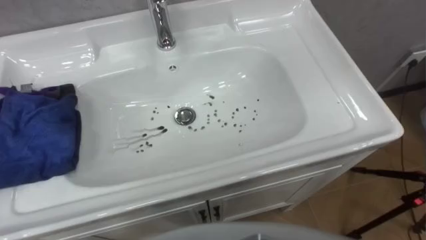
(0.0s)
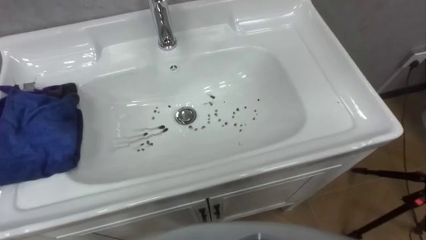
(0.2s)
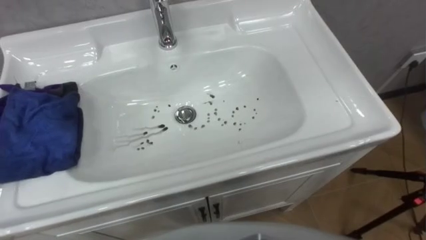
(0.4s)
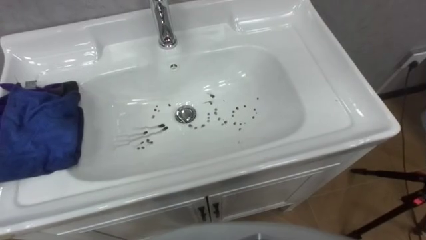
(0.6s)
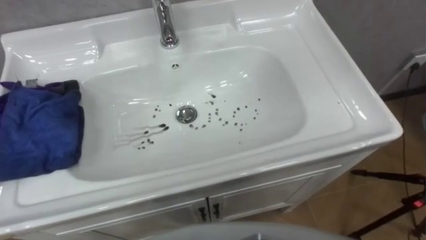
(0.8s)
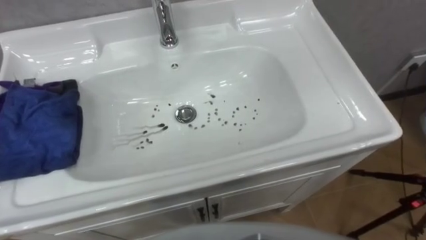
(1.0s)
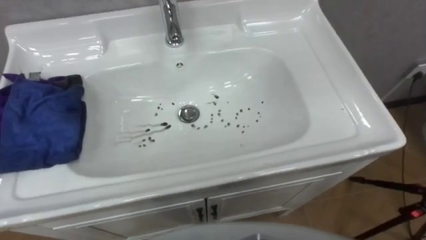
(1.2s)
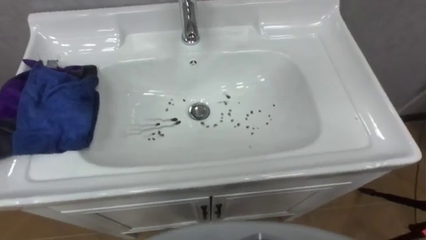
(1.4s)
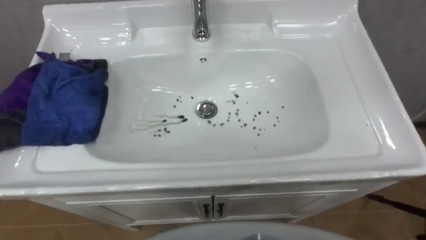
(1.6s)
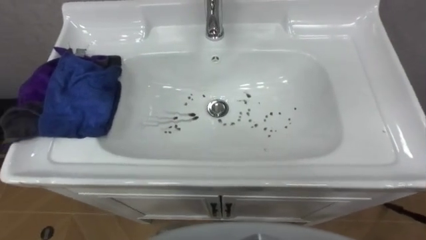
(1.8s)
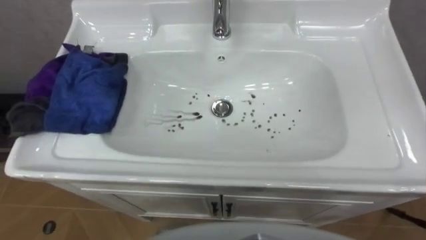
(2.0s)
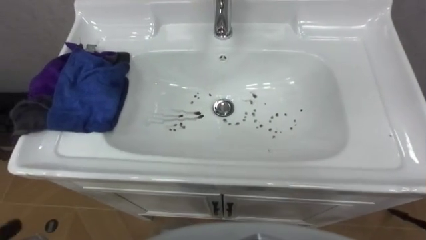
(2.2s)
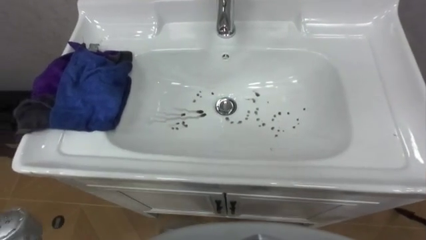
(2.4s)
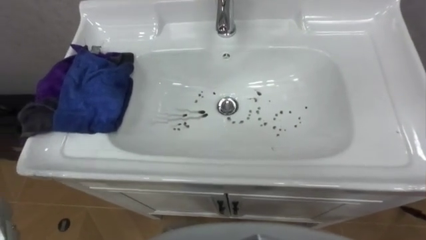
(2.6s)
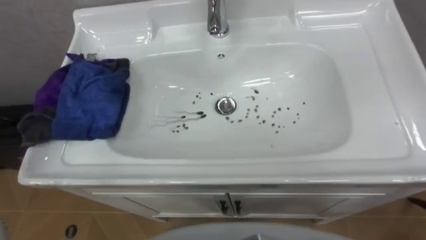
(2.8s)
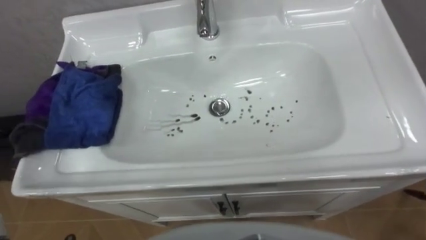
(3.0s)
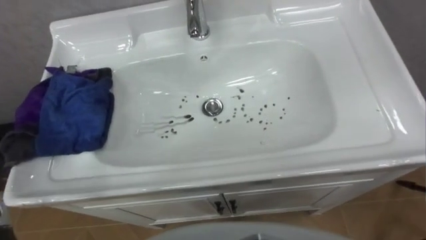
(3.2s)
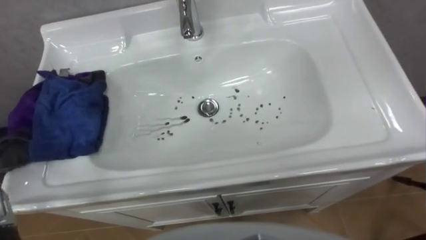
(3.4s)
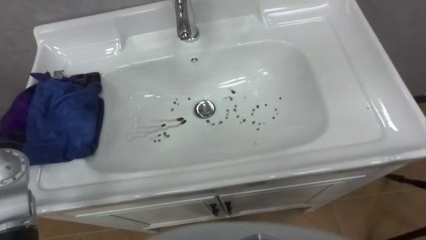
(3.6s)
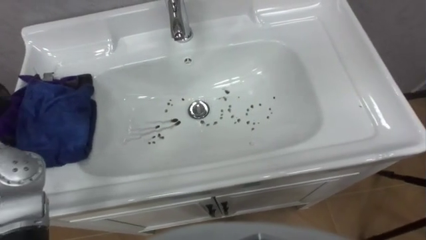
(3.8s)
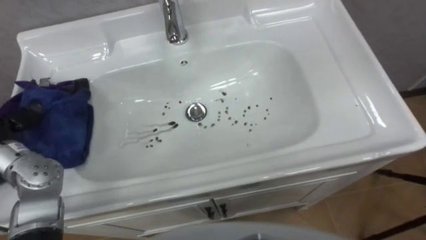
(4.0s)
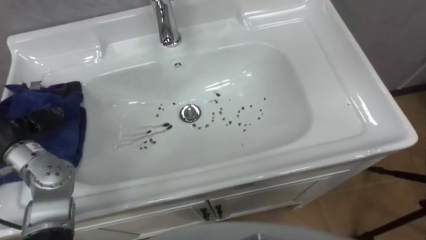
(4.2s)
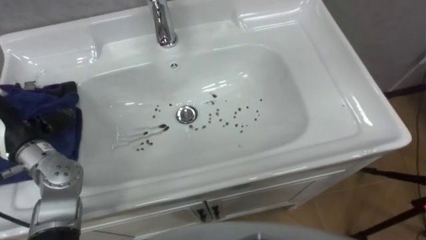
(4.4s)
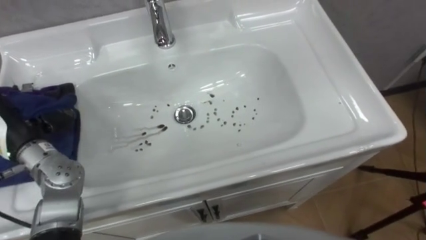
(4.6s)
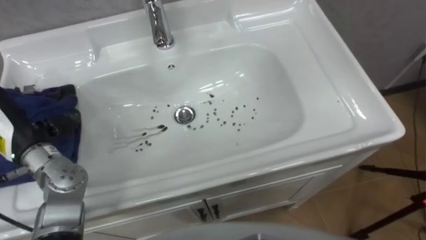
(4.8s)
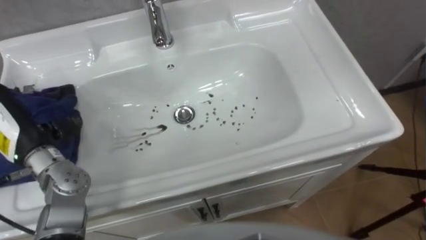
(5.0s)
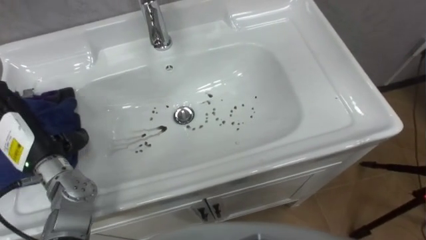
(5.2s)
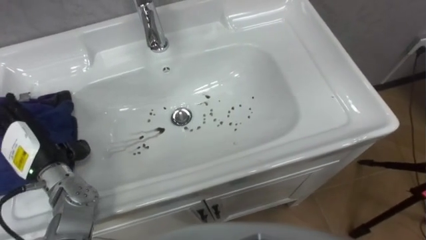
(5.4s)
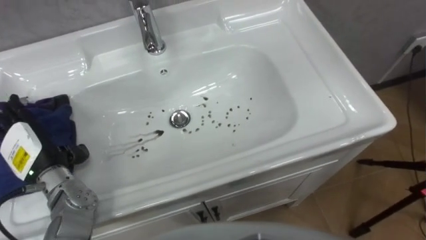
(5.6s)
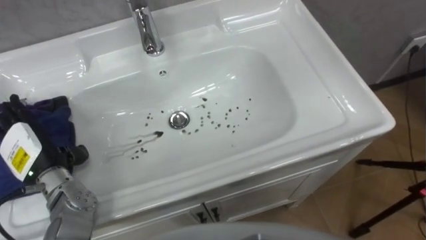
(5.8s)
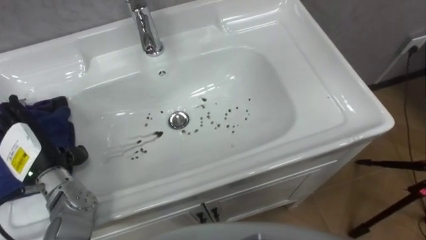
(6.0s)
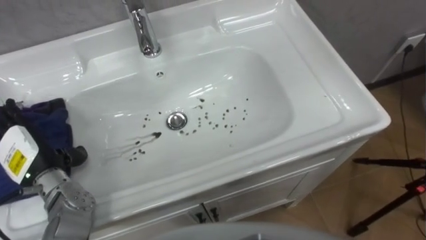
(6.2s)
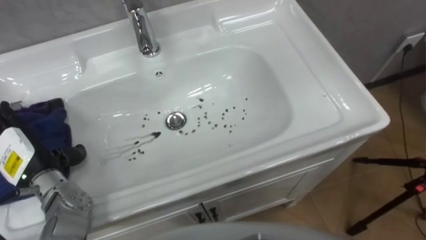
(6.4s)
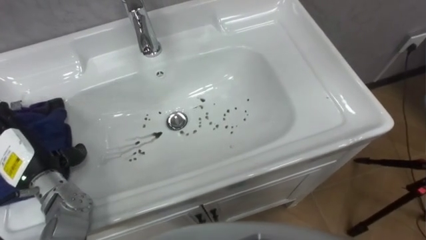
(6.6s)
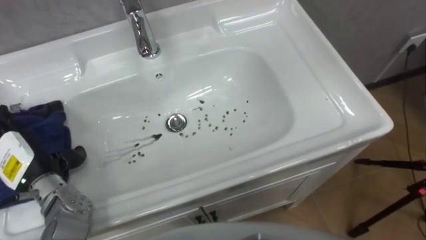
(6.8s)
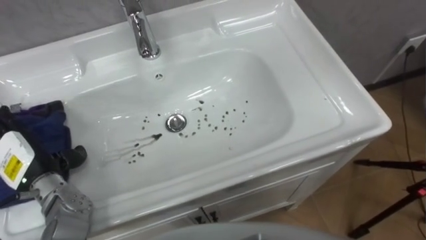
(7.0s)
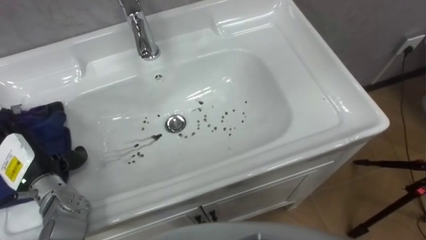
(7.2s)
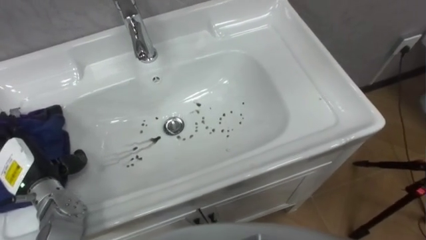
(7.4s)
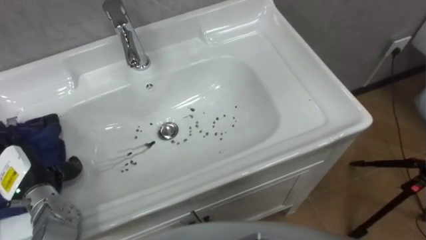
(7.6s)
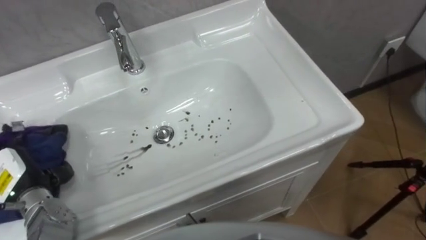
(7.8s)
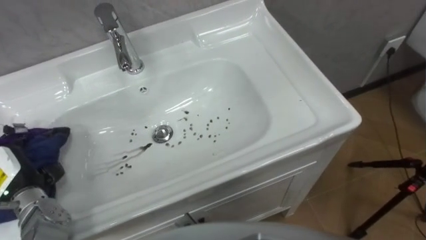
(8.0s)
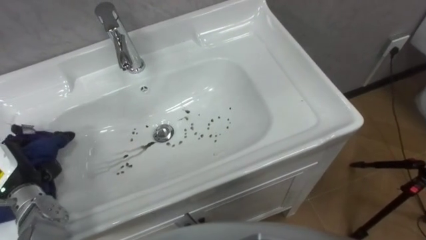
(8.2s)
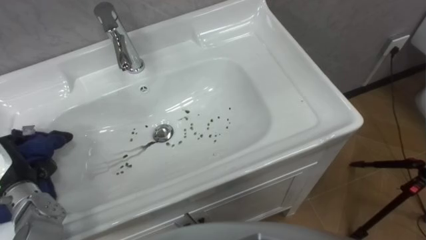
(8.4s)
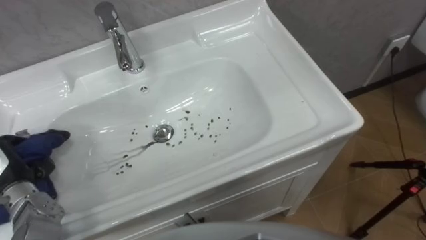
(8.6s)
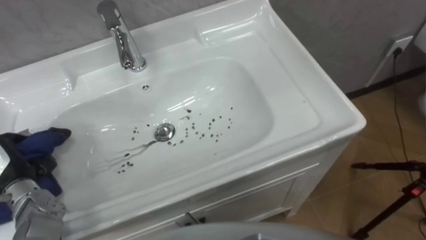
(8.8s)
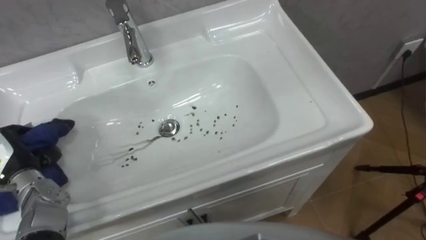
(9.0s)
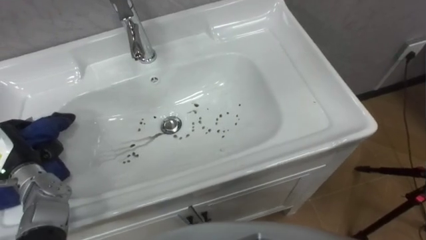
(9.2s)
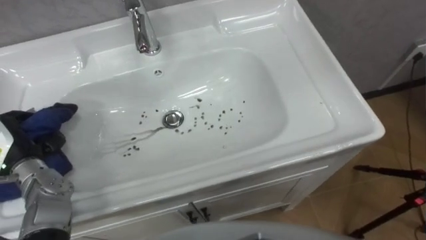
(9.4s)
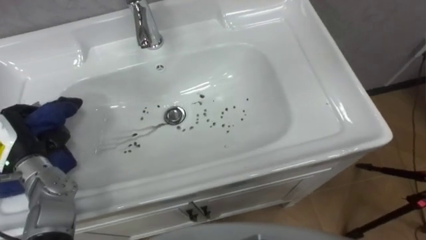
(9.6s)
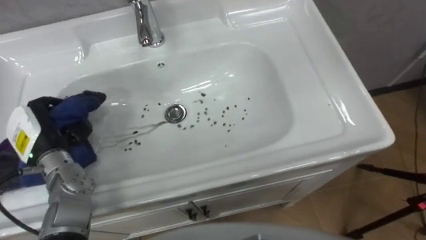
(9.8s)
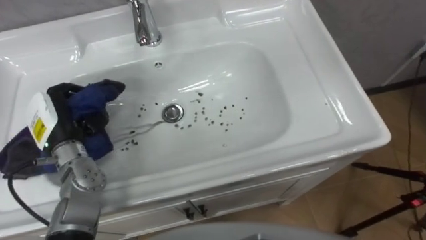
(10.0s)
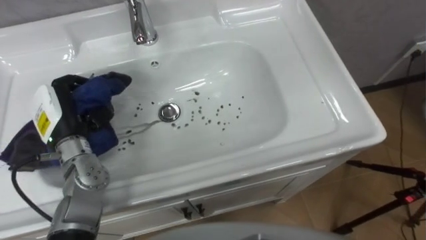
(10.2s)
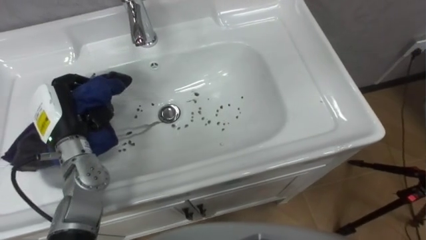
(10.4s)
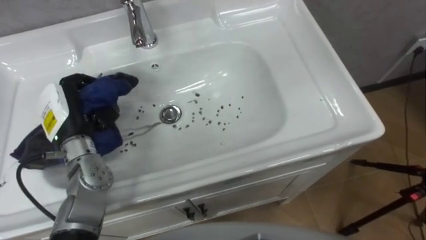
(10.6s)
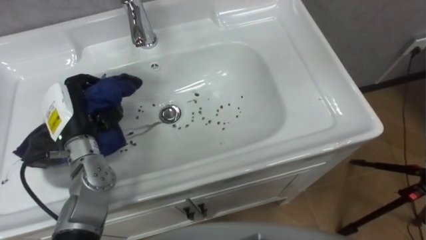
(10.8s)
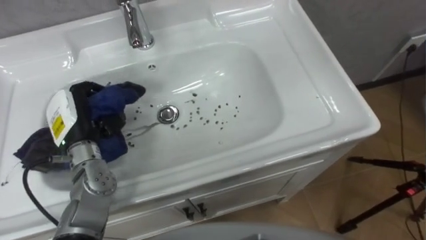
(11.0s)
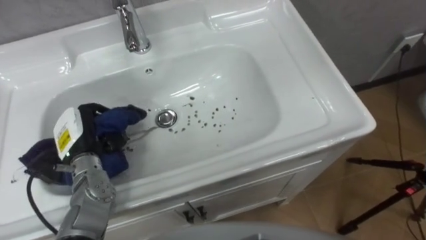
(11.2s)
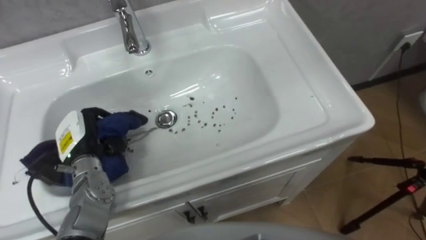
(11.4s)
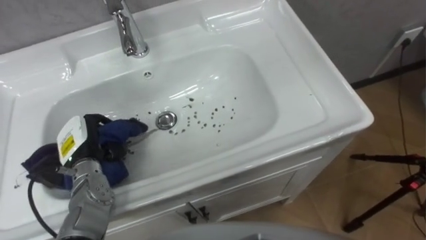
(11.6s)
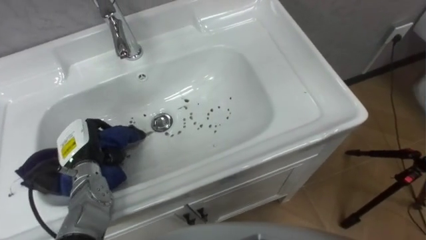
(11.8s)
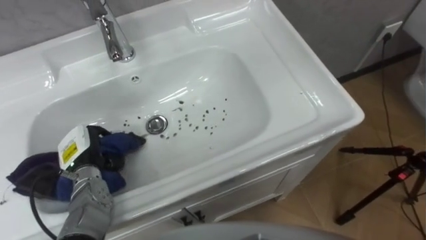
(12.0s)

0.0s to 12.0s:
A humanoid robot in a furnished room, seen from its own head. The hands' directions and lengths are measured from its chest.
Task of the whole recording: Use the cloth on the right to wipe away the black stain in the sink.
4.4s to 6.0s: The left hand shifts some 5 cm downward.
6.0s to 7.6s: The left hand moves approximately 5 cm.
7.6s to 9.0s: The left hand closes its fingers.
9.0s to 10.4s: The left hand shifts some 15 cm to the right, forward and upward.
10.4s to 12.0s: The left hand goes about 10 cm downward.

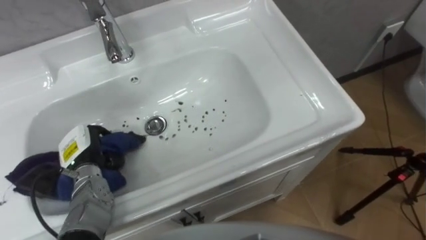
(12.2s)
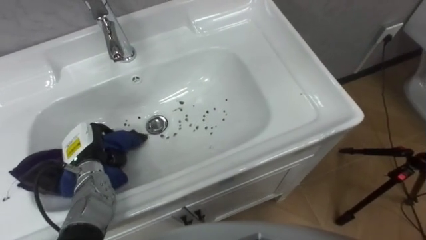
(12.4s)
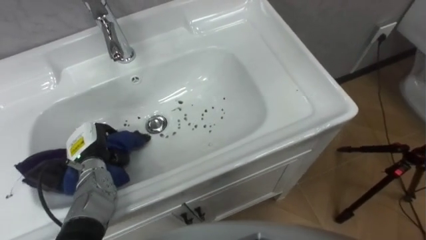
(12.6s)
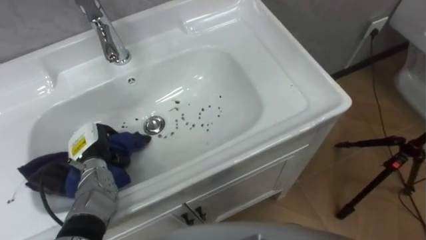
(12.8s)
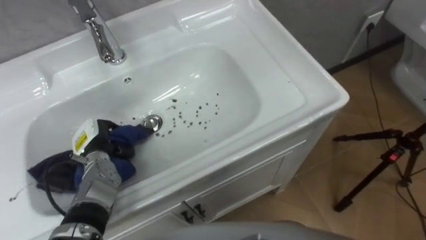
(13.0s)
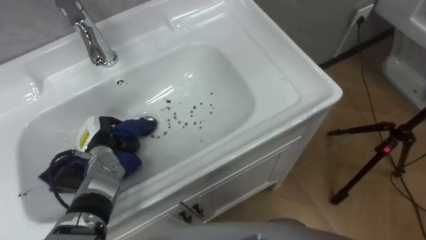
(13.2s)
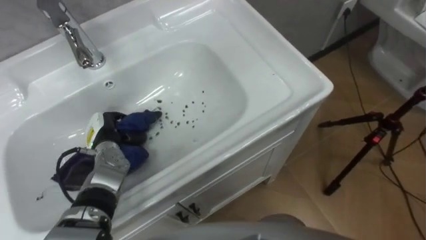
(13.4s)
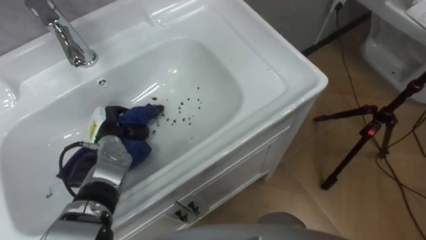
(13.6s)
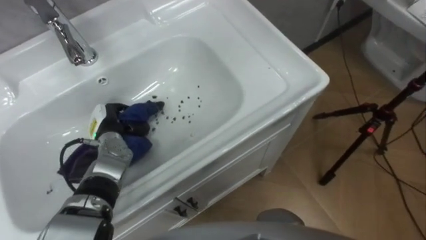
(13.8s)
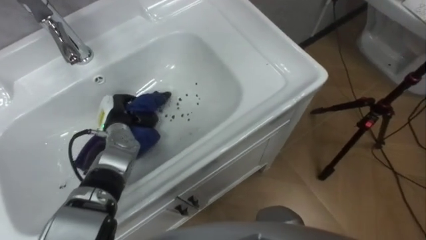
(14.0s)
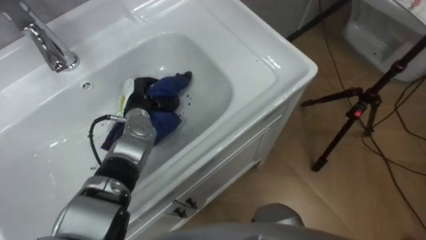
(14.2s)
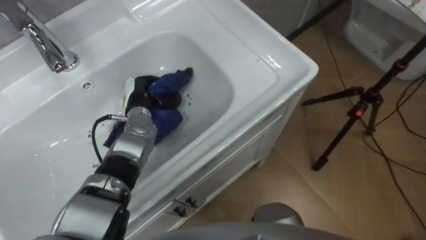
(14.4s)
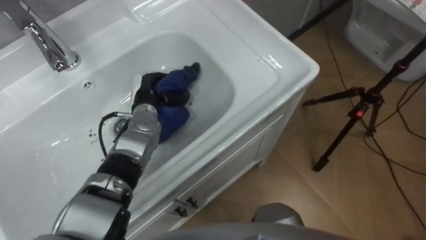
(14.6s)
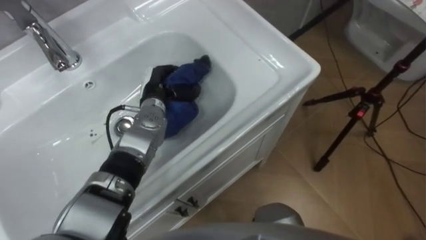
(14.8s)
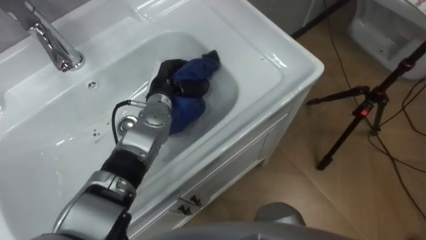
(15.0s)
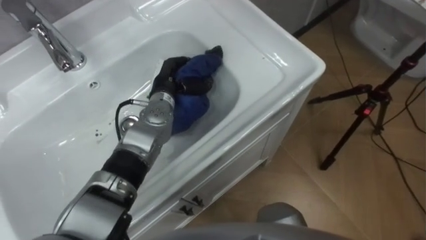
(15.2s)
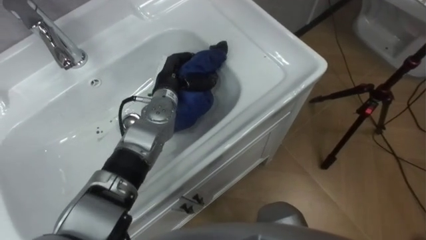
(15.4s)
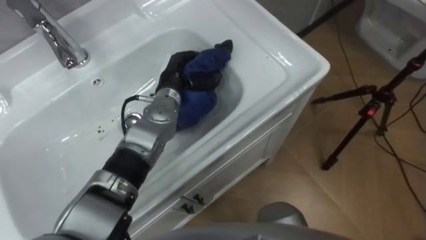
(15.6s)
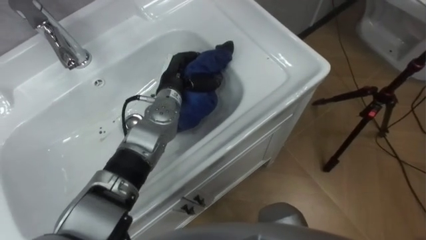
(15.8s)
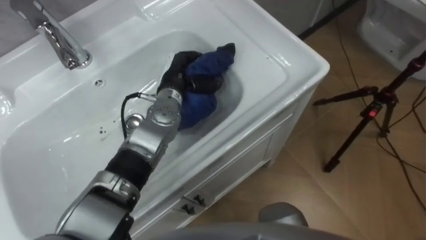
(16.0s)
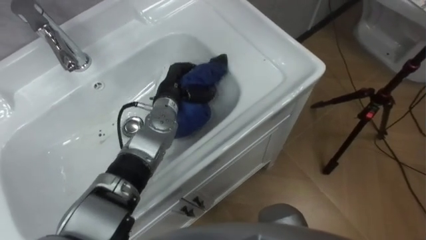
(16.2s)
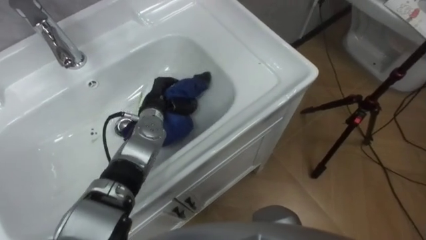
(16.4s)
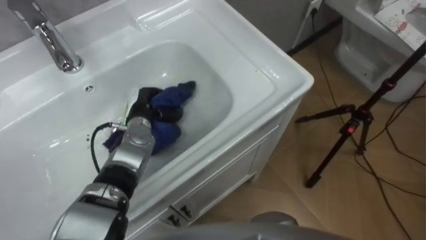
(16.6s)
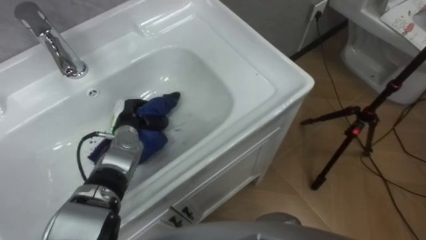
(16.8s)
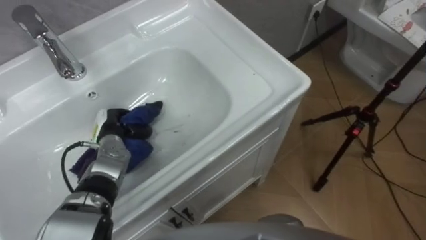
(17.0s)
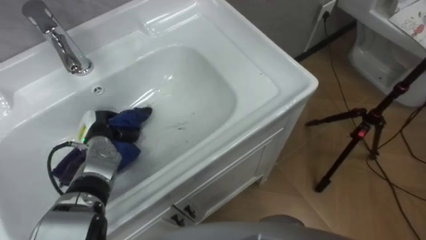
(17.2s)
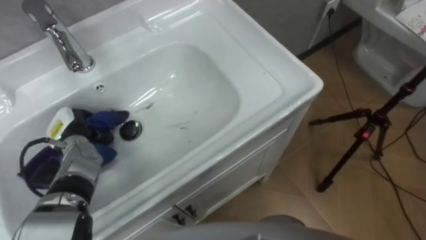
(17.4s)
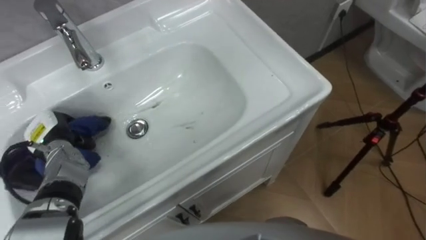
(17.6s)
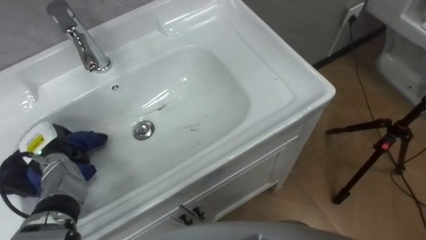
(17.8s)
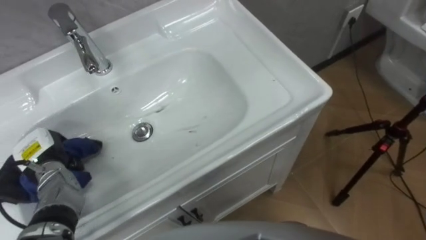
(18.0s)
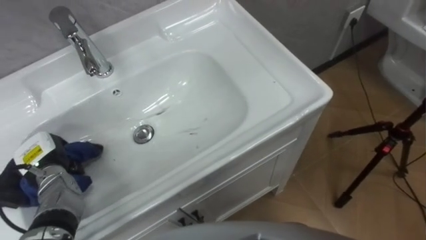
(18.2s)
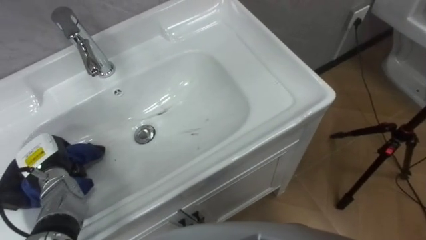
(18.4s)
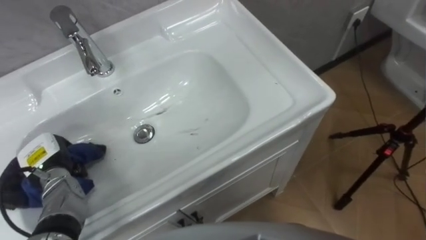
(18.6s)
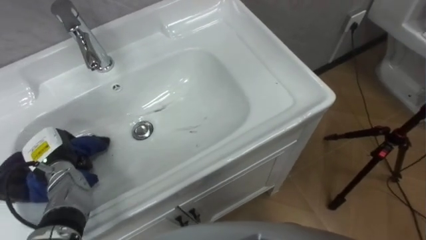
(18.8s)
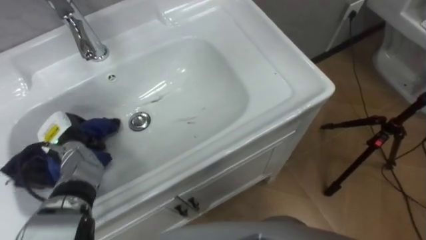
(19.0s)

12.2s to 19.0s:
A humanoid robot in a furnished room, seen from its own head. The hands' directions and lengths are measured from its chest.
Task of the whole recording: Use the cloth on the right to wipe away the black stain in the sink.
12.2s to 13.6s: The left hand heads forward, covering about 5 cm.
13.6s to 15.0s: The left hand shifts approximately 15 cm to the right, forward and upward.
16.2s to 17.6s: The left hand shifts roughly 25 cm to the left.
